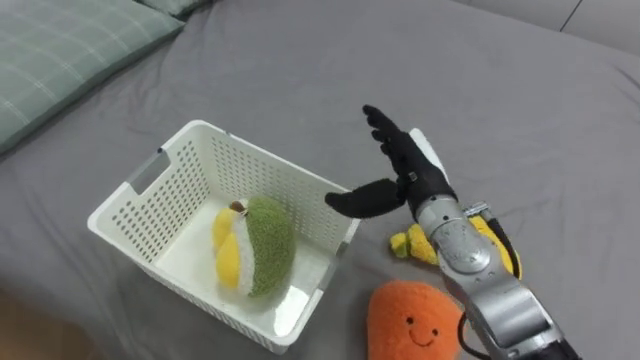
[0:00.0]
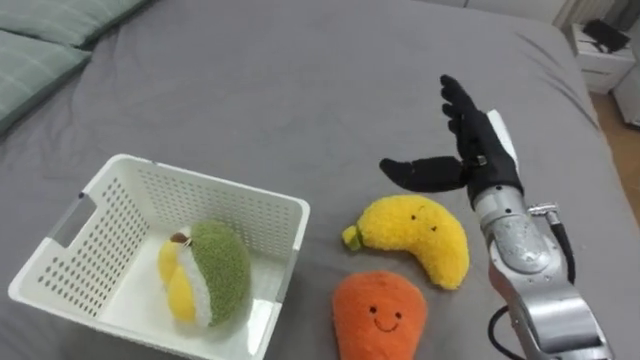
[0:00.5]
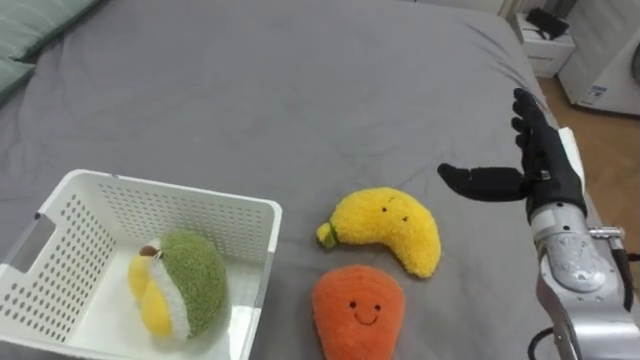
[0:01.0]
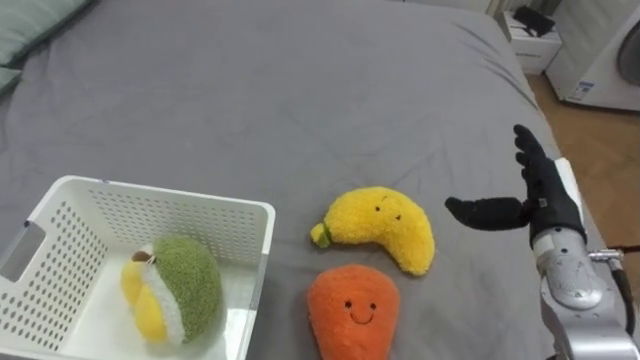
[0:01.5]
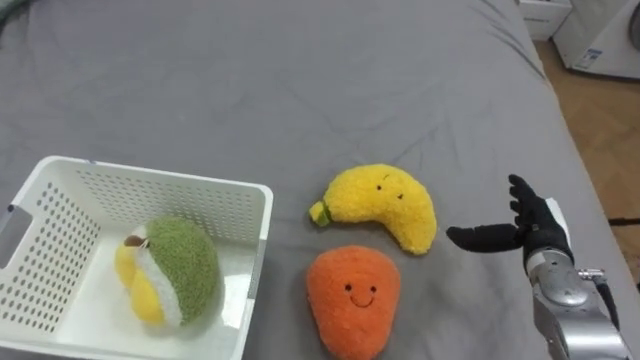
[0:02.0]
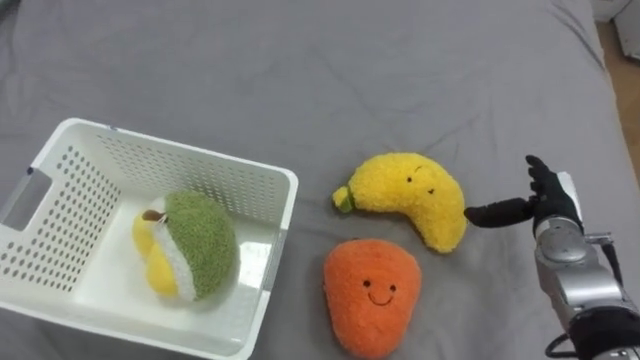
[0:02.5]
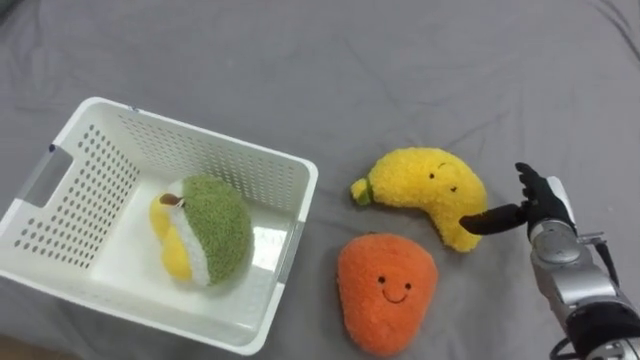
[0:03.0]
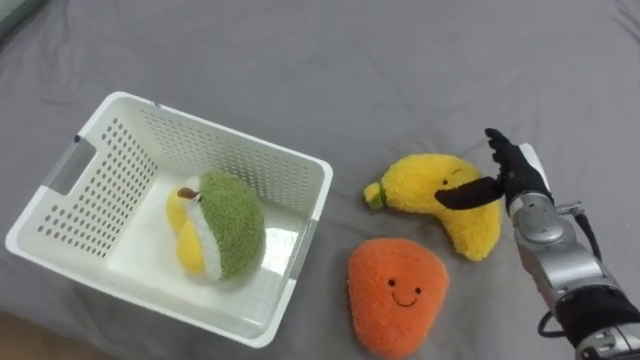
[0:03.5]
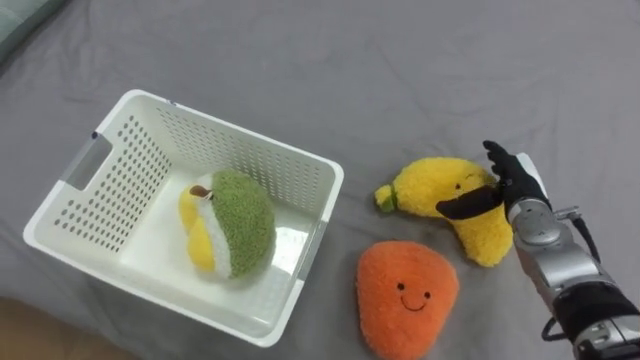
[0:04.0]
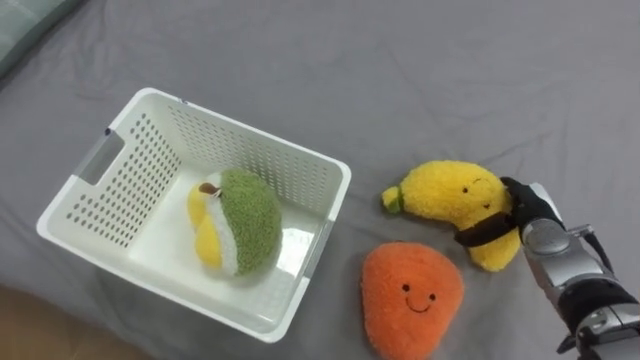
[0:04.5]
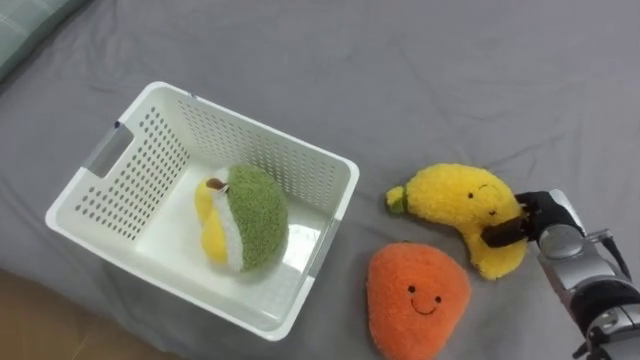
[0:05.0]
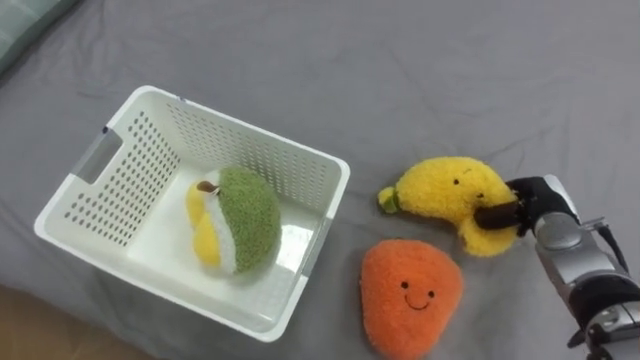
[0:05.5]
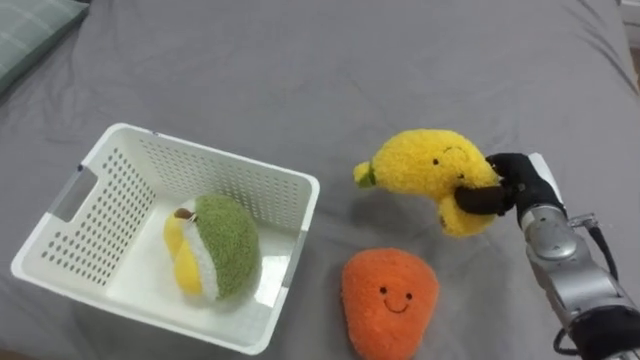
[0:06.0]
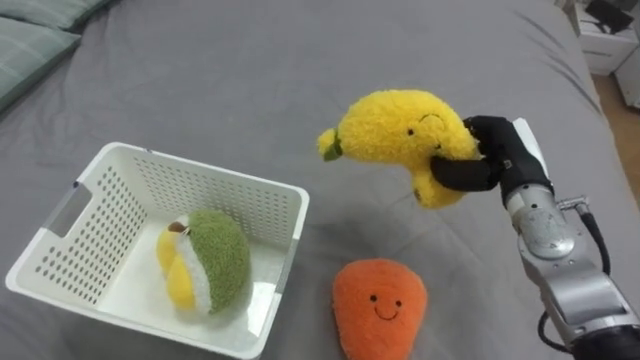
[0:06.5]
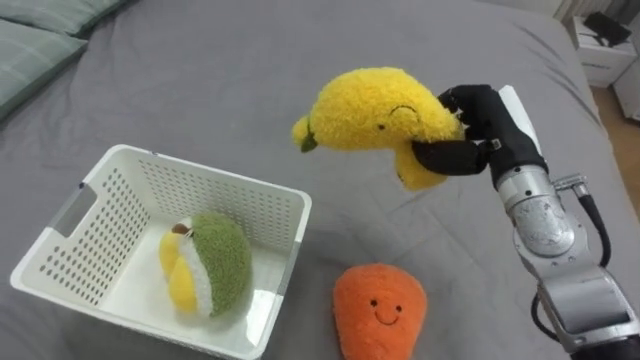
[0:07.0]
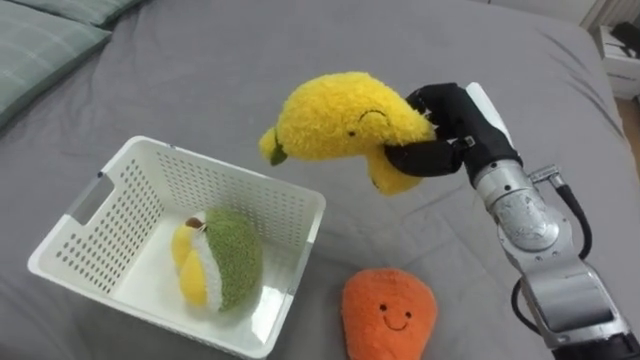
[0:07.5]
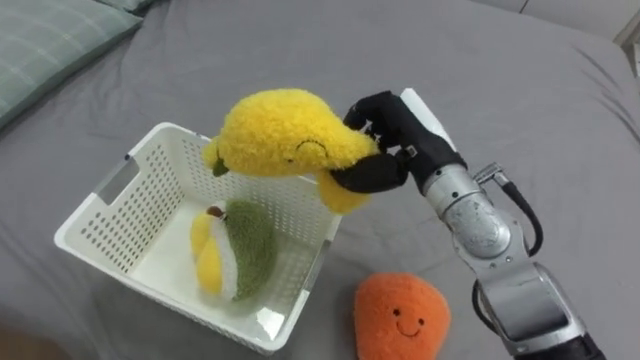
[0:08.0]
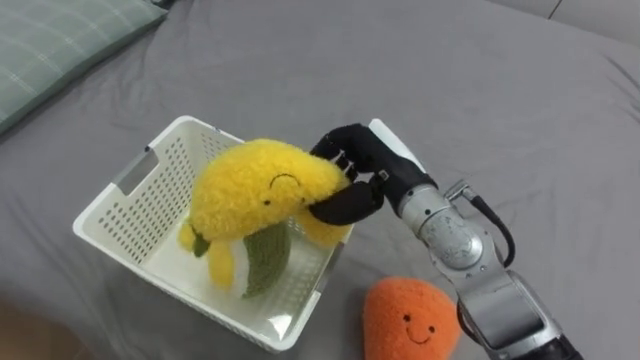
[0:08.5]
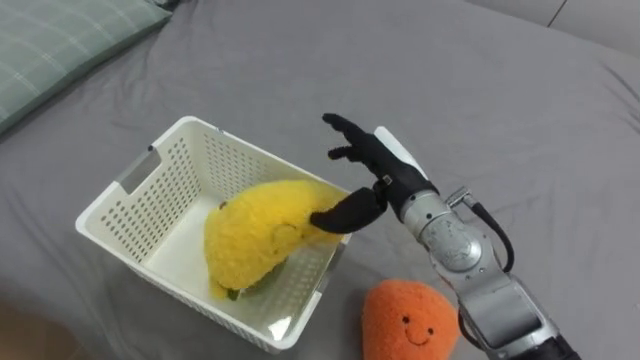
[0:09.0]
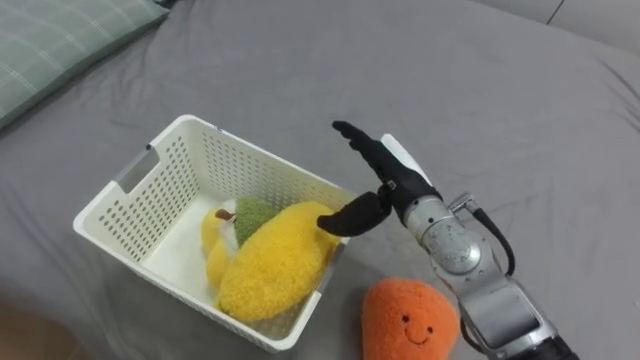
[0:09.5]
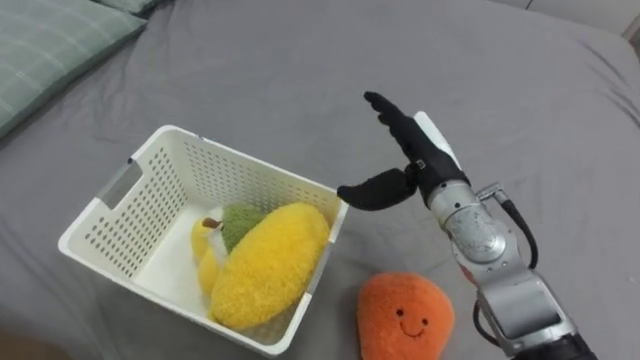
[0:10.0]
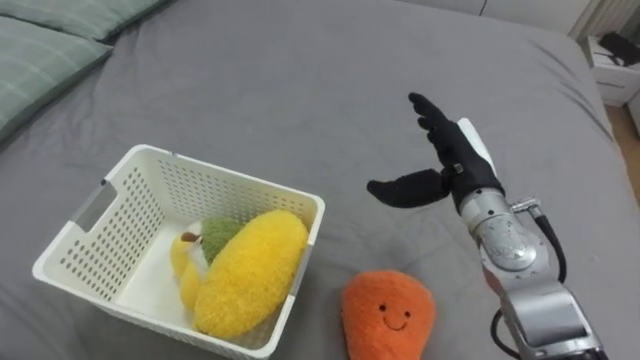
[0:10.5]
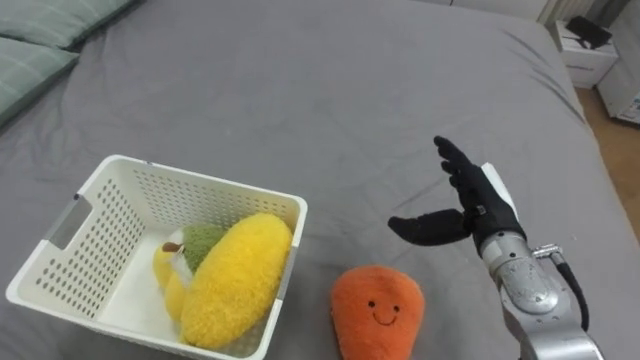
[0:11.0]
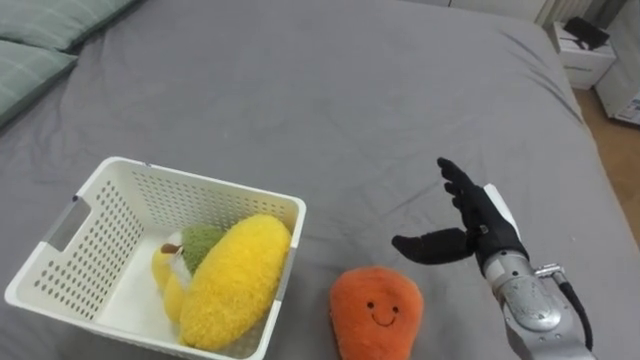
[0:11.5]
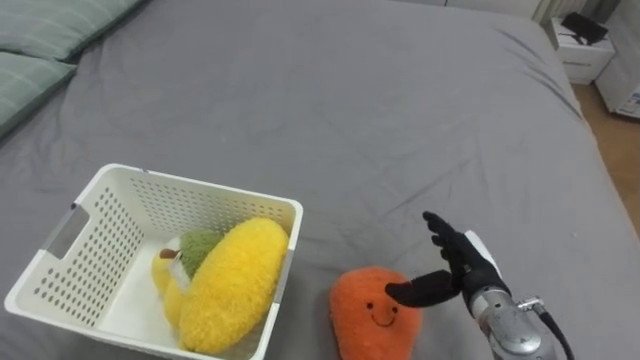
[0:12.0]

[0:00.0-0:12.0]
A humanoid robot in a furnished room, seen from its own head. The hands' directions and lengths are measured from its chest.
Task of the whole recording: Put the toys on the bed into the basket on the left.
0:00.0 to 0:02.0: The right hand travels to the right and downward by roughly 20 cm.
0:02.0 to 0:04.0: The right hand goes approximately 5 cm forward.
0:04.0 to 0:06.0: The right hand closes its fingers.
0:06.0 to 0:08.0: The right hand heads to the left and upward, covering roughly 20 cm.
0:08.0 to 0:10.0: The right hand opens.
0:10.0 to 0:12.0: The right hand shifts some 15 cm downward, to the right and backward.

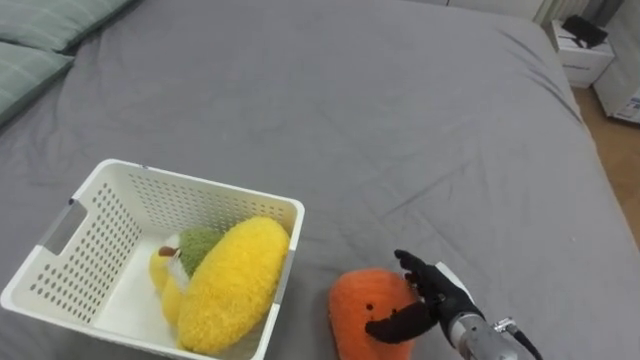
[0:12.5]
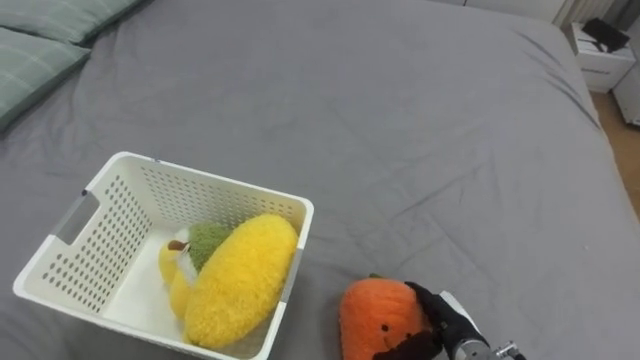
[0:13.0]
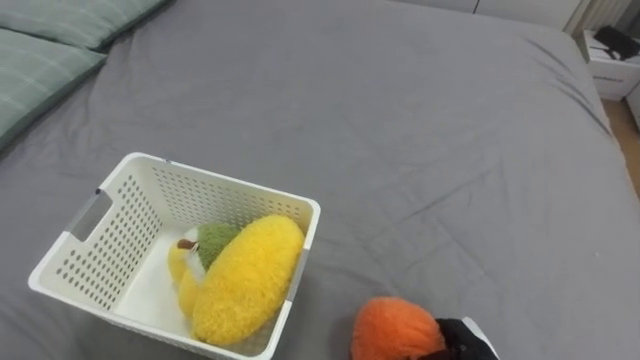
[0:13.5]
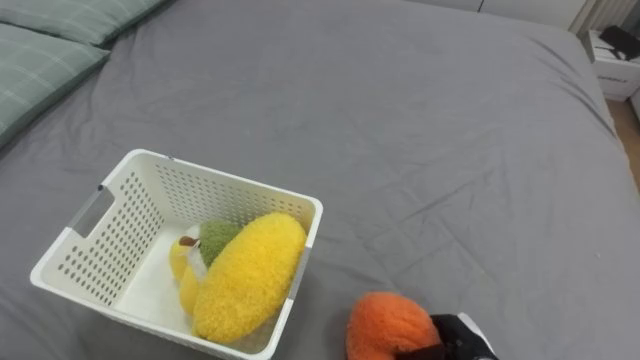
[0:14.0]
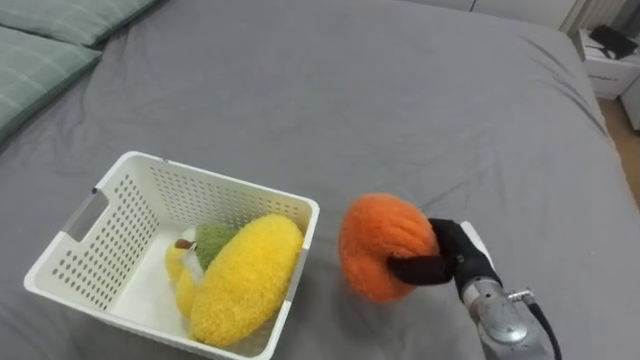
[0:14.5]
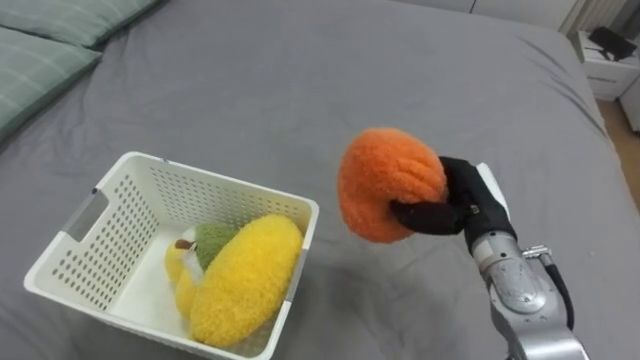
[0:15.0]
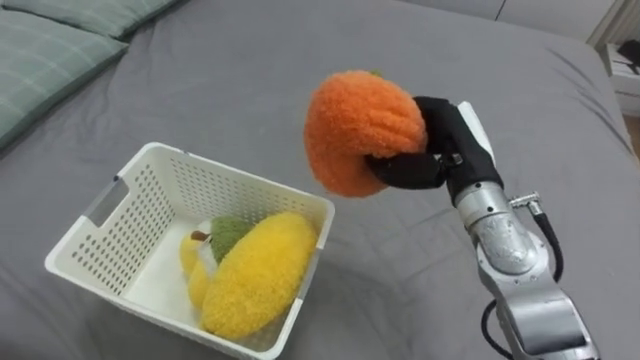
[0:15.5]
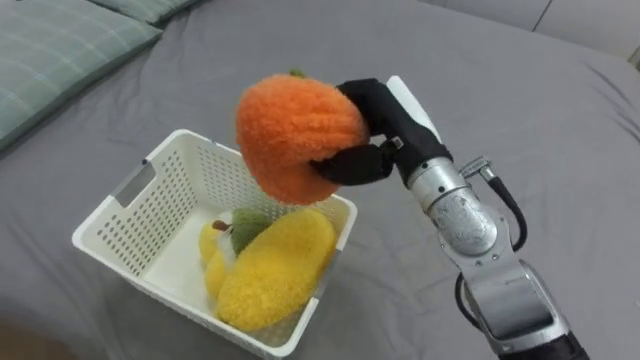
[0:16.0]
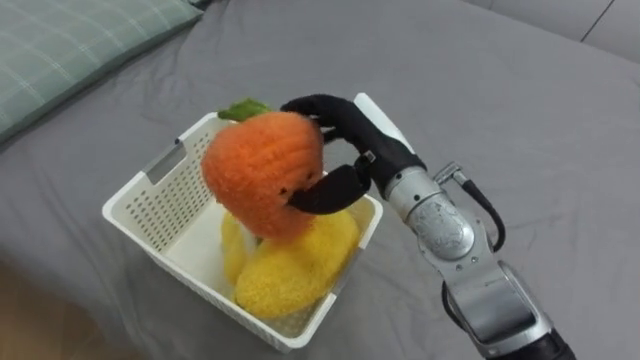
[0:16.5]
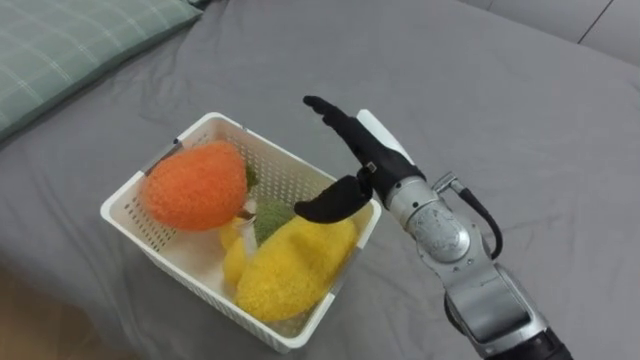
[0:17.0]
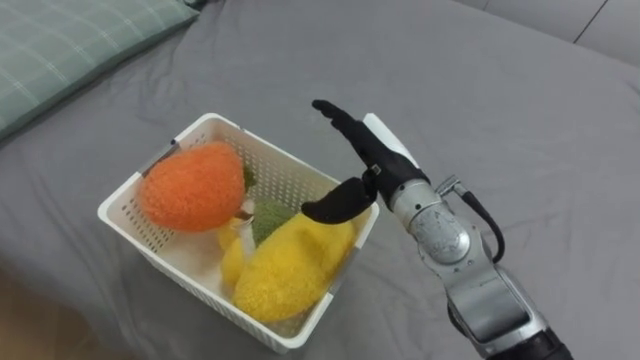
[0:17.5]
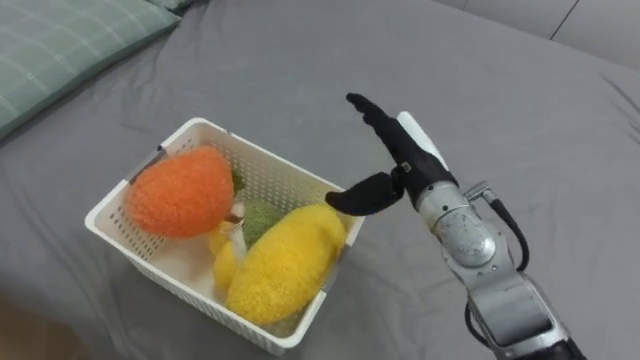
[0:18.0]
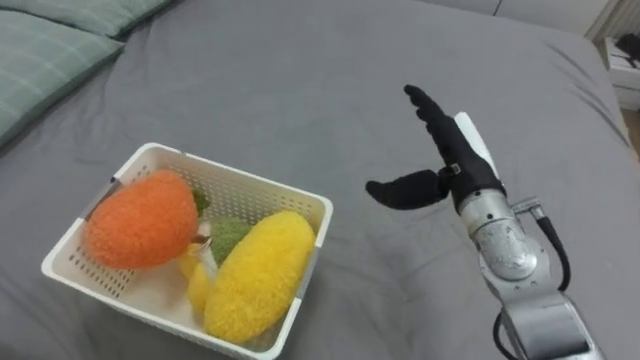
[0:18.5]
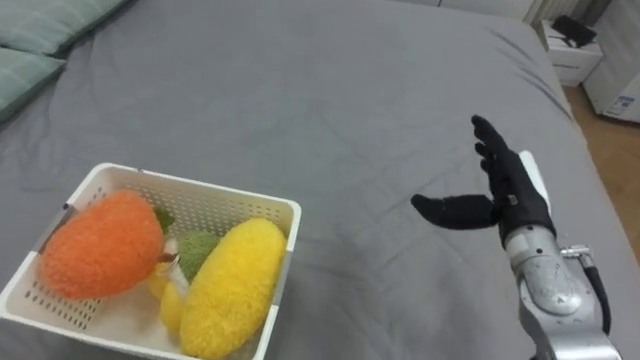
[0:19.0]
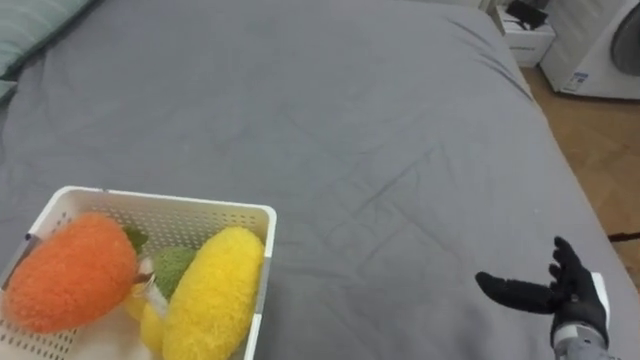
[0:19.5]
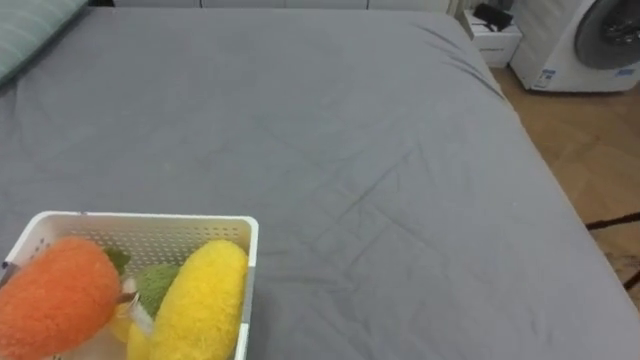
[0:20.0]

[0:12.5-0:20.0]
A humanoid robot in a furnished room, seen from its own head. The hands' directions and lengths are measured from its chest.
Task of the whole recording: Put the toys on the bed into the basket on the left.
0:12.5 to 0:14.5: The right hand moves approximately 5 cm downward and comes back, and closes.
0:14.5 to 0:16.5: The right hand shifts roughly 25 cm upward and to the left, and opens up.
0:16.5 to 0:18.0: The right hand changes place by roughly 5 cm.
